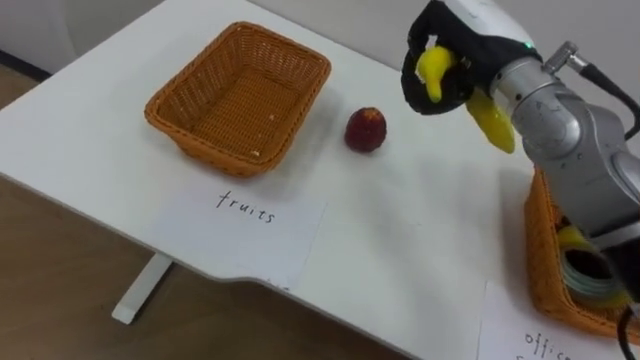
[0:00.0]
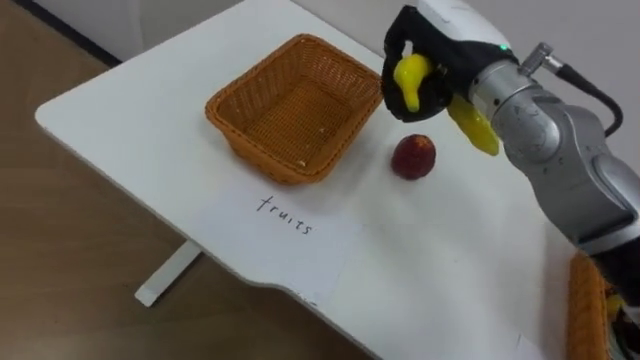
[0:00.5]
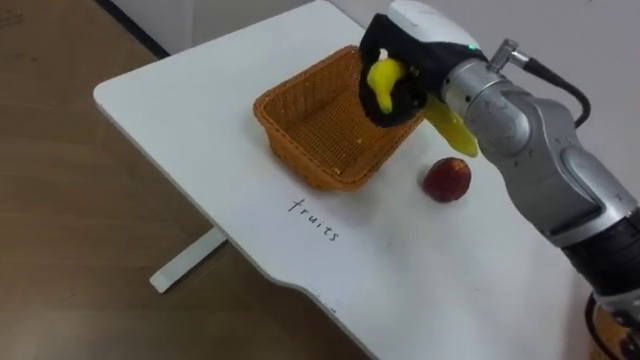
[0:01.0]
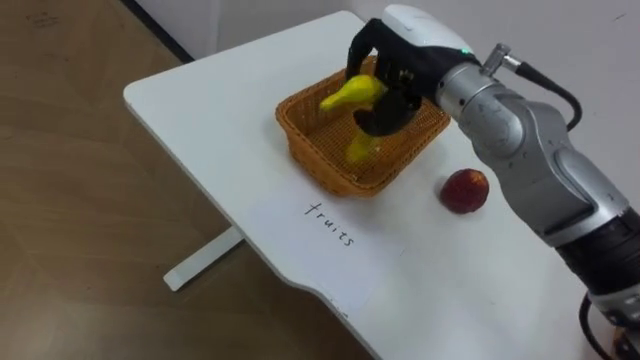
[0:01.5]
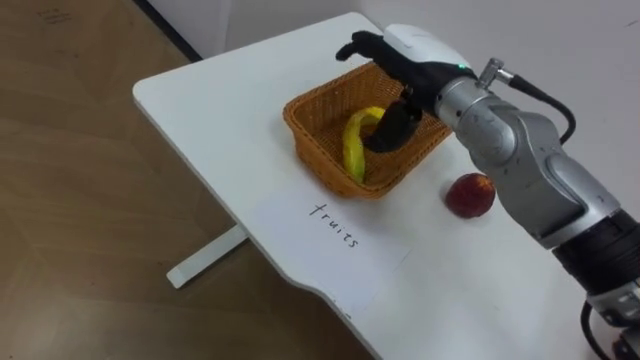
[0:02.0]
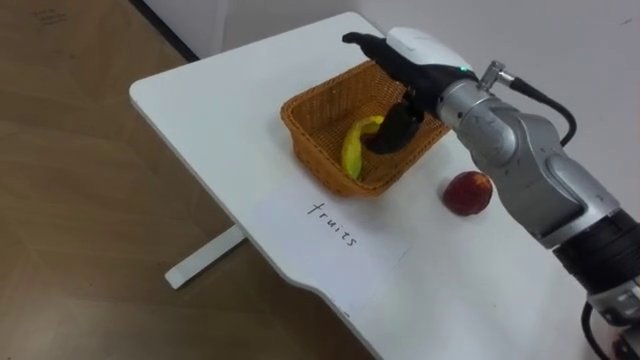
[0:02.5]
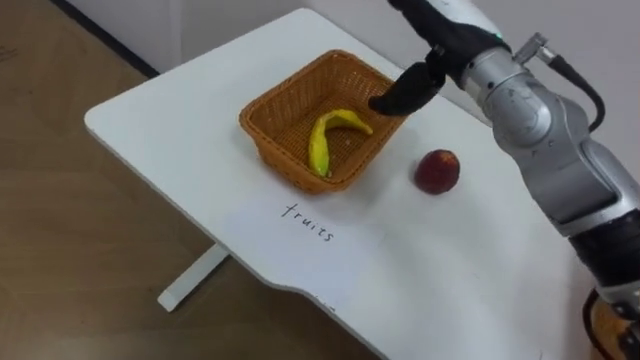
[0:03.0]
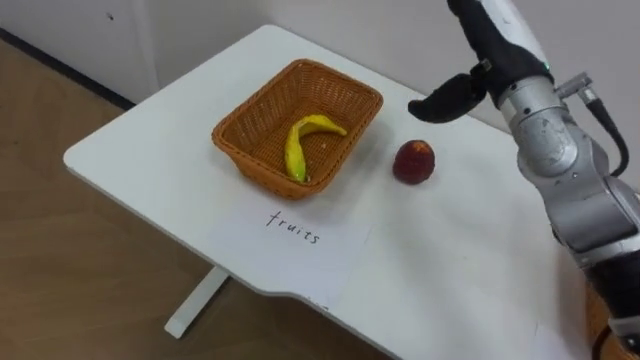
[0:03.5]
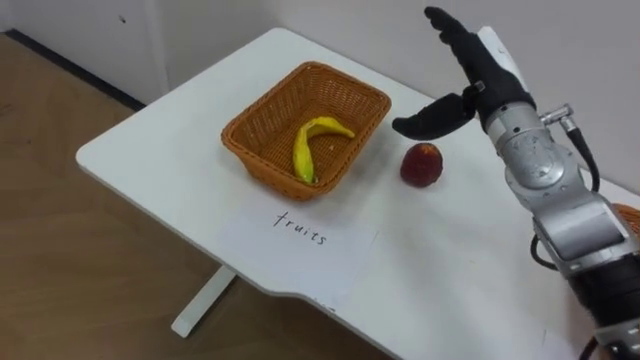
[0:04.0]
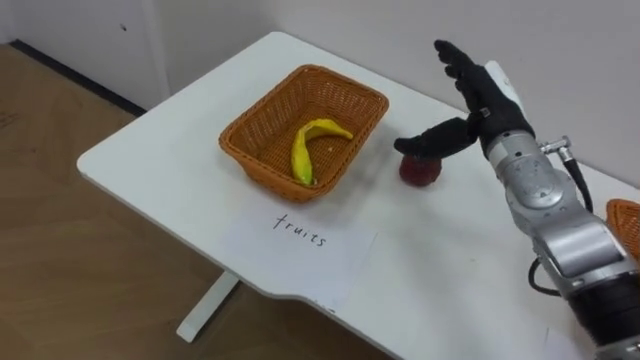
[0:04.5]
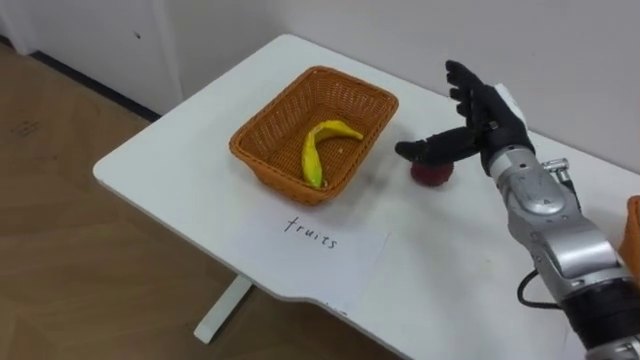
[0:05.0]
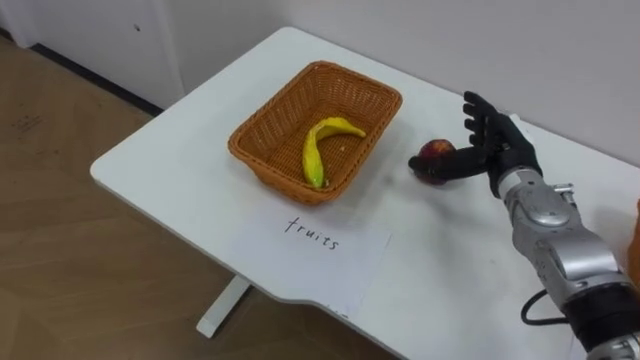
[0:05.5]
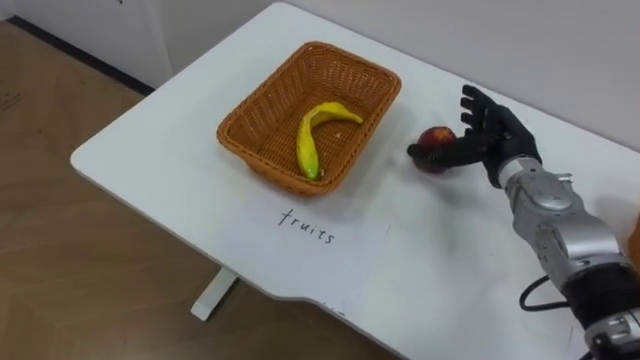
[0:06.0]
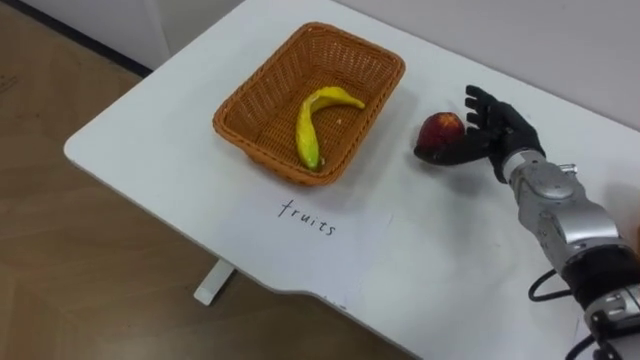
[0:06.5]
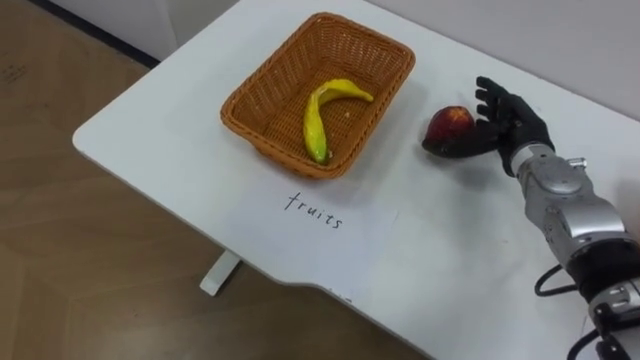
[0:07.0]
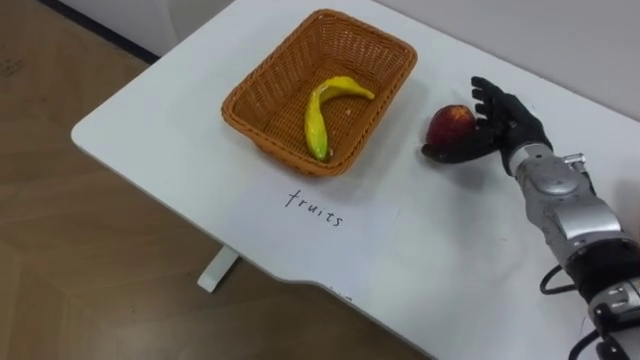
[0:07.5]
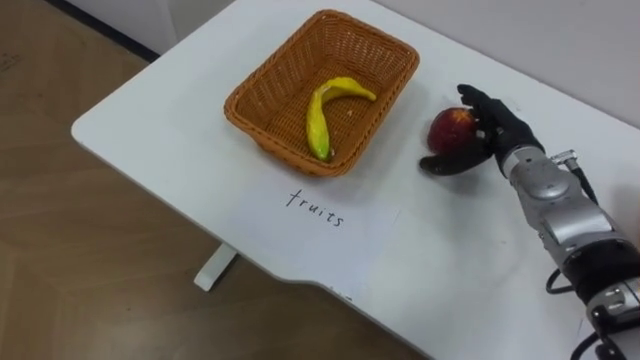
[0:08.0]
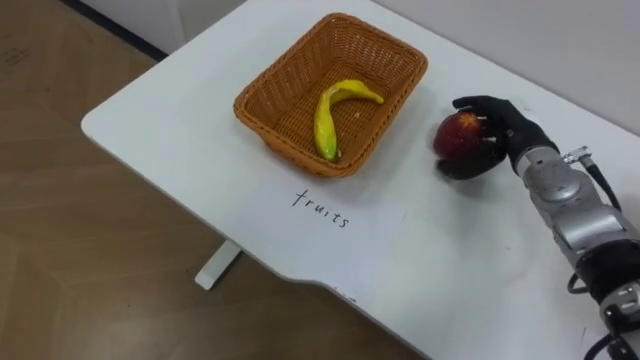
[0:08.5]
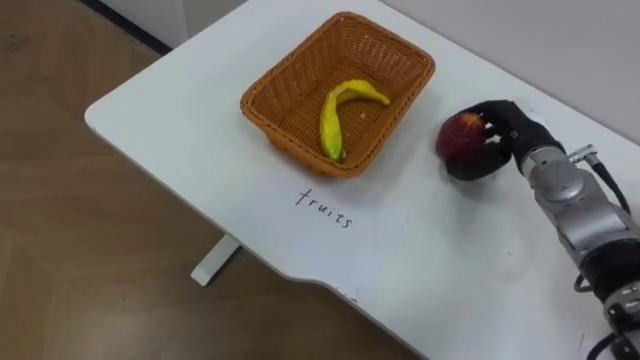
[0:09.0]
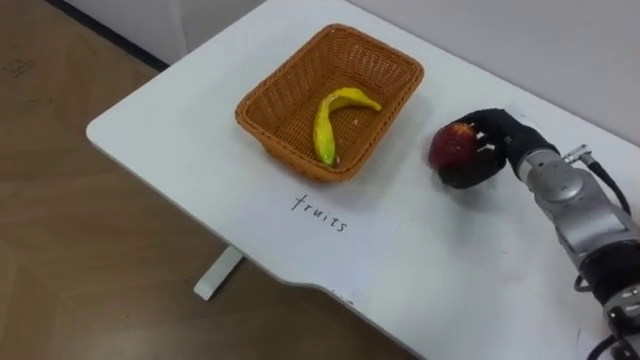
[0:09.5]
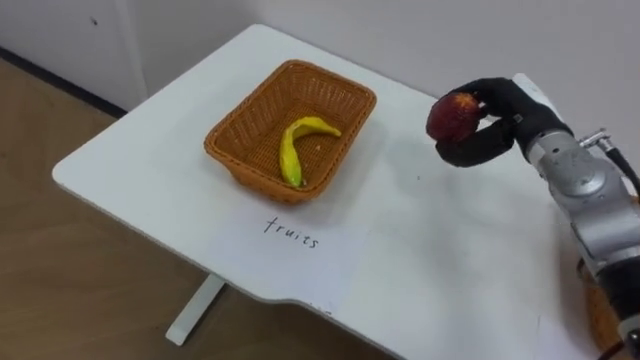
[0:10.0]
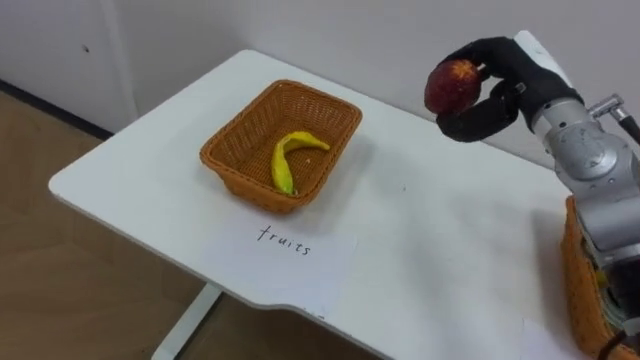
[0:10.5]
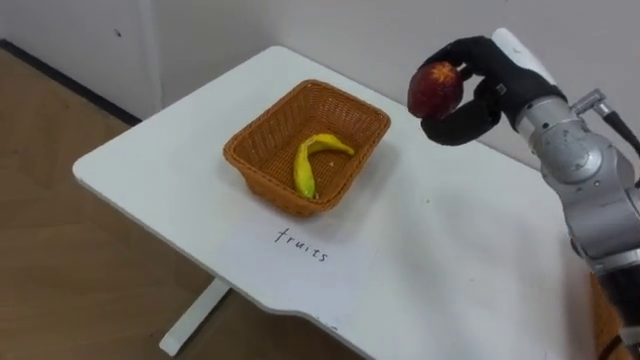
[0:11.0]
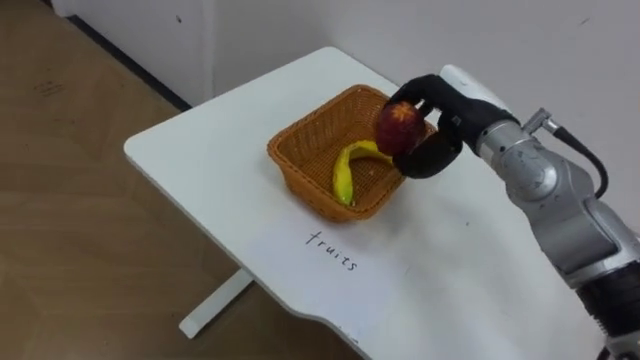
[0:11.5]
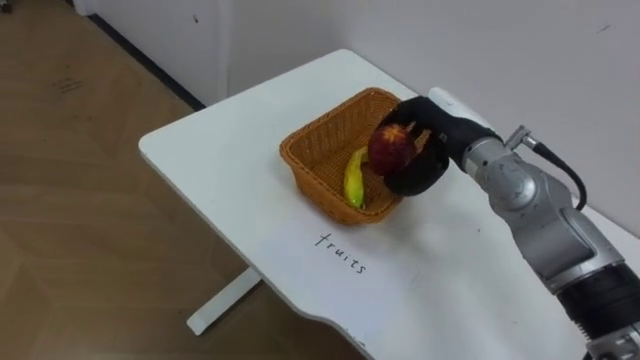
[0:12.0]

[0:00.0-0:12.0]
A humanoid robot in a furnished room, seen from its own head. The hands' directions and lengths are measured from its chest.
Task of the whole recording: Separate the items on the table and place them into the two baskets.
0:00.0 to 0:02.0: The right hand travels to the left by some 5 cm, and opens.
0:02.0 to 0:04.0: The right hand heads to the right, covering approximately 10 cm.
0:04.0 to 0:06.0: The right hand is displaced downward by some 10 cm.
0:08.0 to 0:10.0: The right hand closes up.
0:10.0 to 0:12.0: The right hand moves to the left, roughly 10 cm.

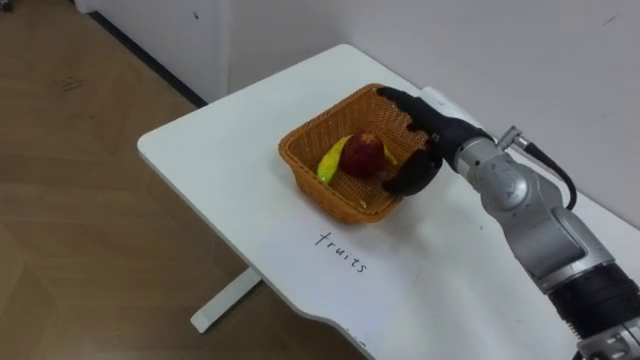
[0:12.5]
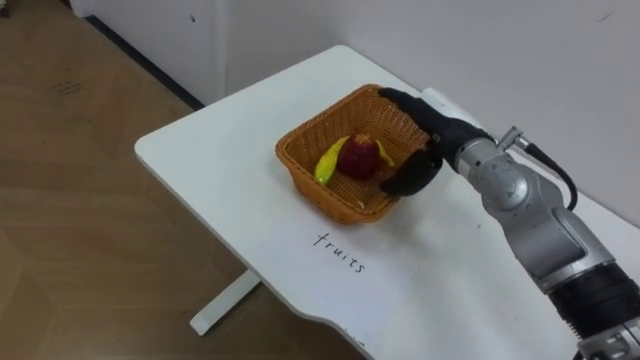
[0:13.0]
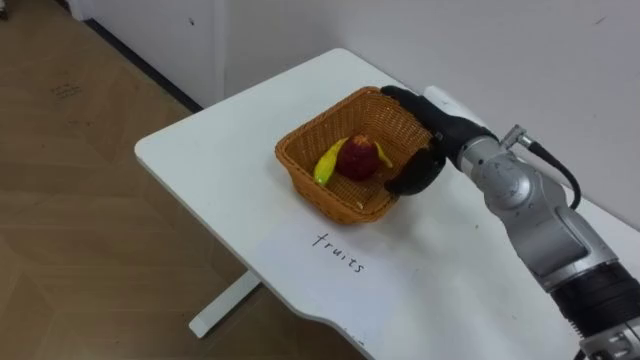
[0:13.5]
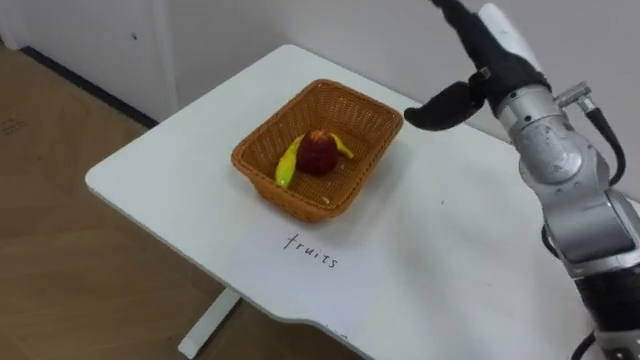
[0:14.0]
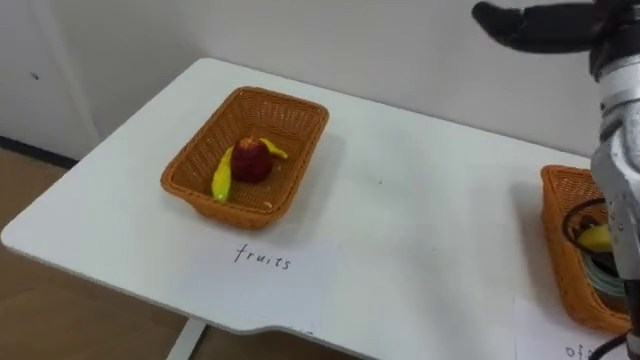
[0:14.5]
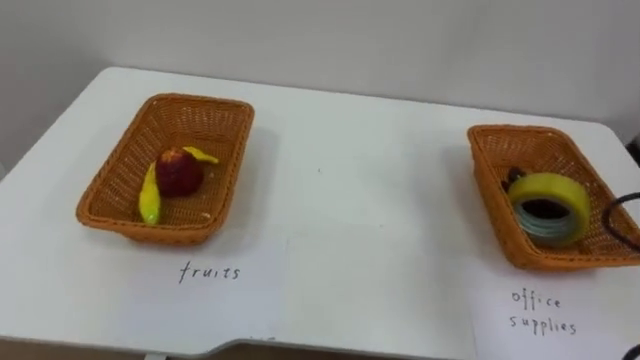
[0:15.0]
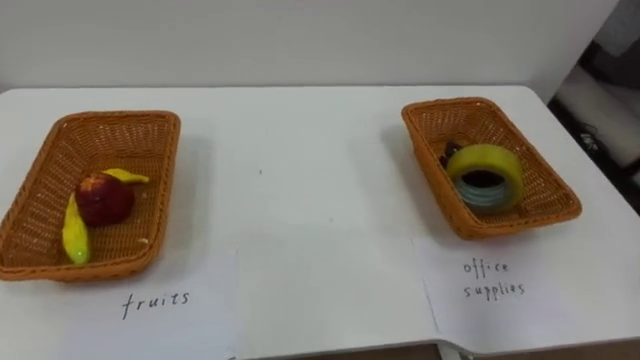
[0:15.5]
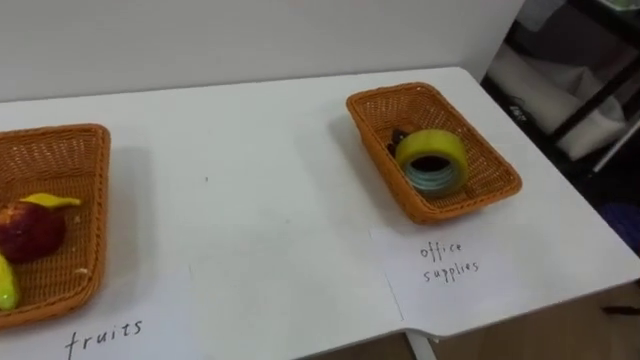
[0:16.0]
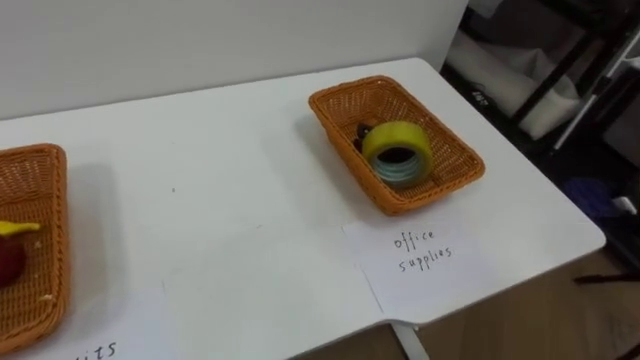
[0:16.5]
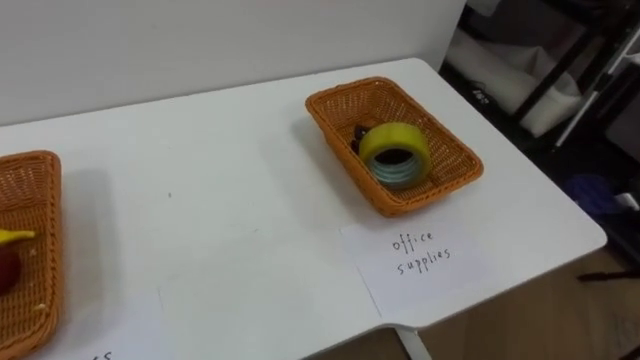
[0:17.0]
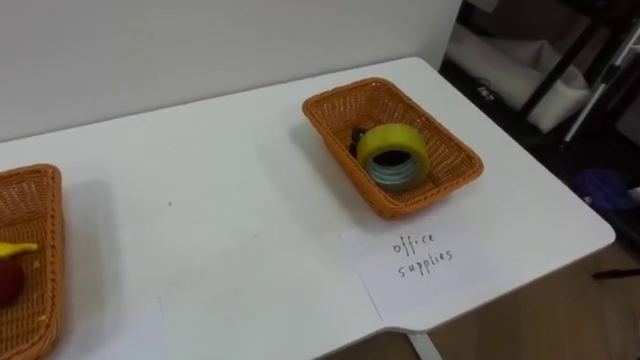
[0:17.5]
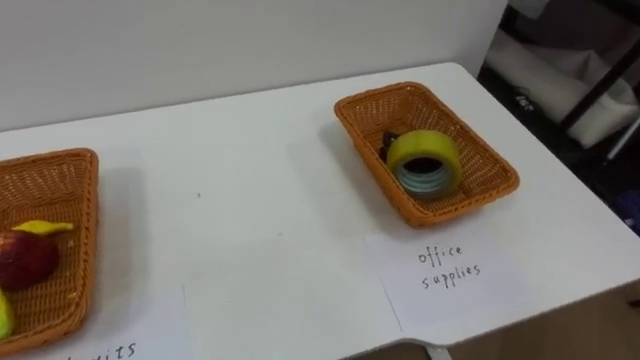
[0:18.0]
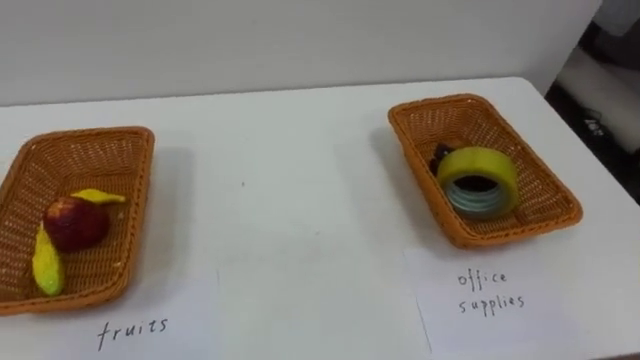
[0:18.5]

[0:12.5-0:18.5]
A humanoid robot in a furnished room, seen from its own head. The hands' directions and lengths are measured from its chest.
Task of the whole recording: Separate the items on the table and place them into the two baskets.
0:12.5 to 0:14.5: The right hand heads upward and to the right, covering roughly 20 cm.

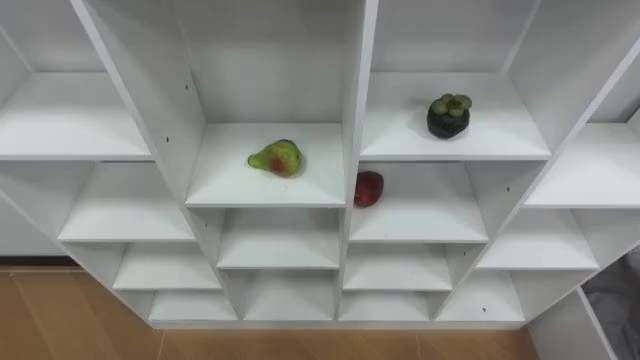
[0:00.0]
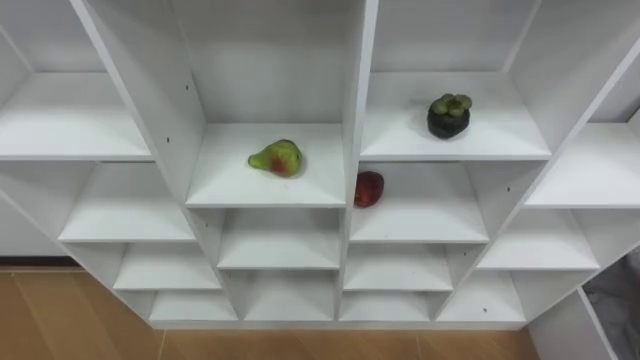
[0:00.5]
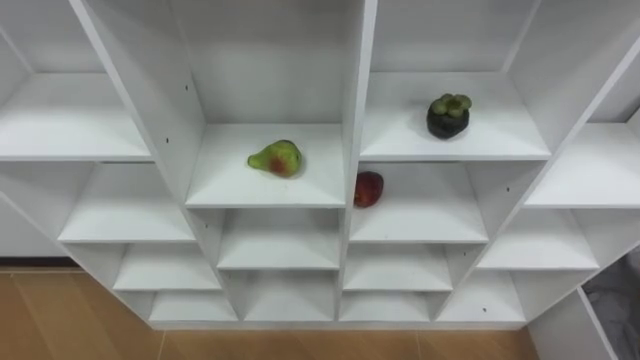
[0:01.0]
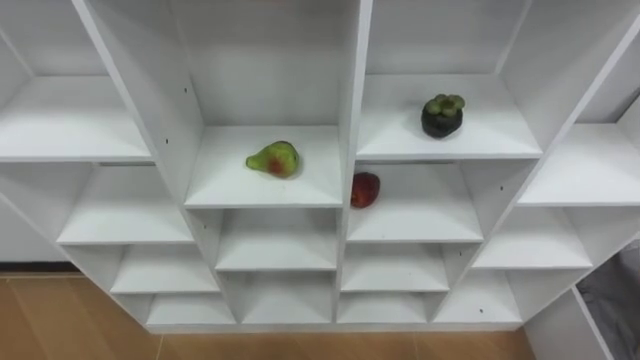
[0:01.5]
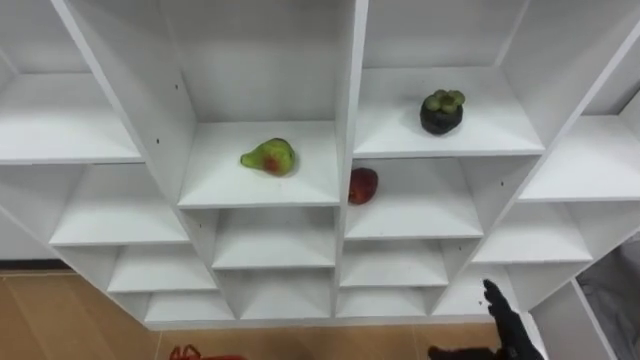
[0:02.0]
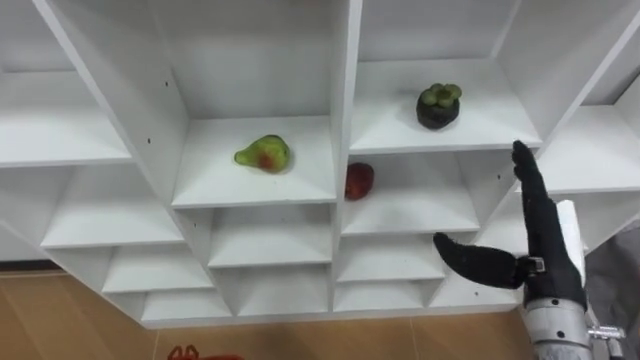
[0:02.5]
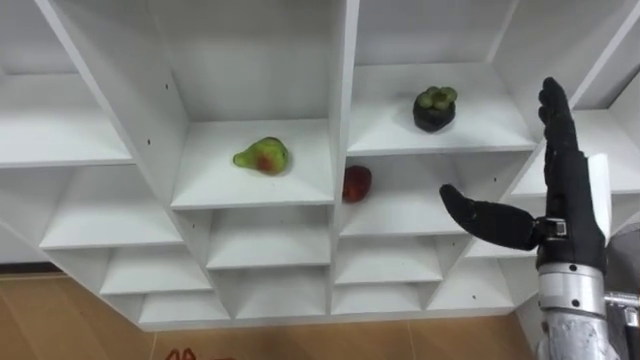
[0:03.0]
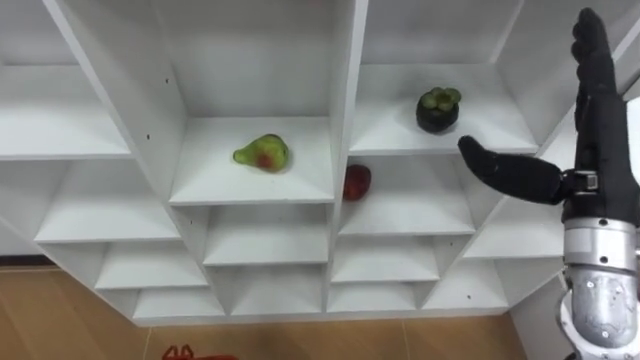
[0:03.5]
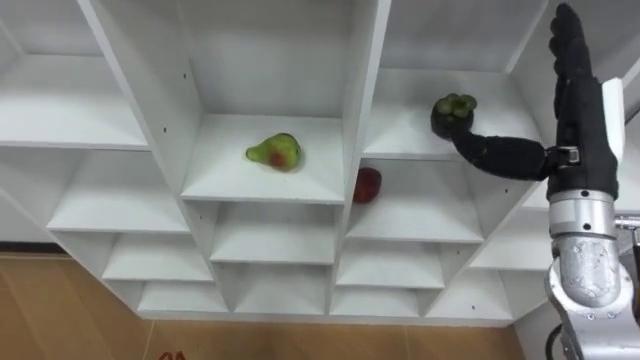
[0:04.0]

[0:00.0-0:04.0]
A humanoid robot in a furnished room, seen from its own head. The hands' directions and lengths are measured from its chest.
Task of the whole recording: Hold the basket and collect the fruits from 3 different cells of the closet into it.
0:02.0 to 0:04.0: The right hand heads upward and forward, covering some 30 cm.
